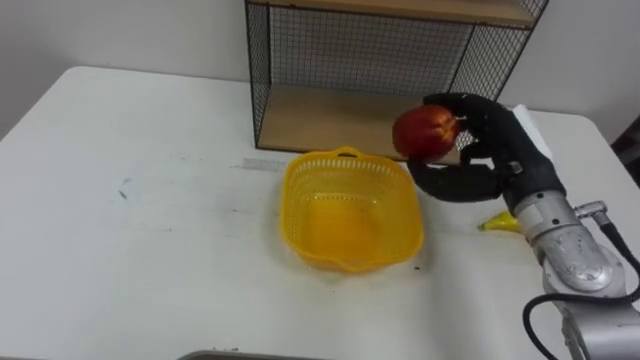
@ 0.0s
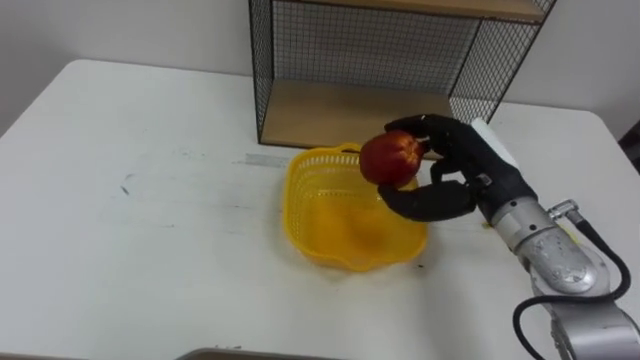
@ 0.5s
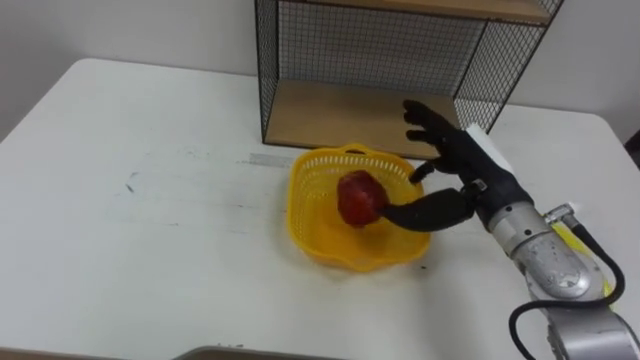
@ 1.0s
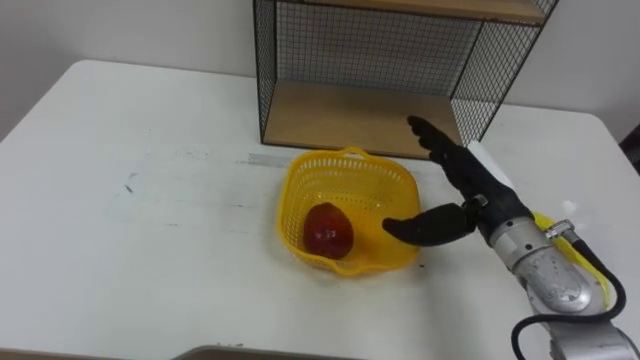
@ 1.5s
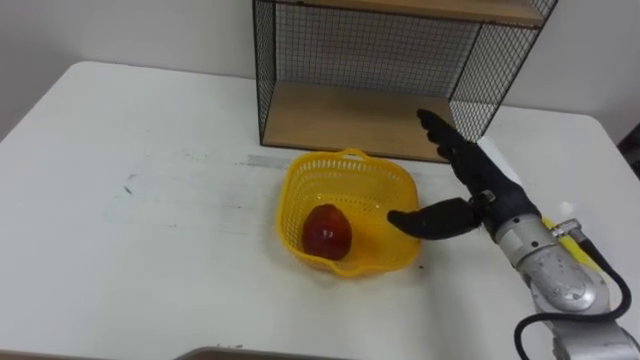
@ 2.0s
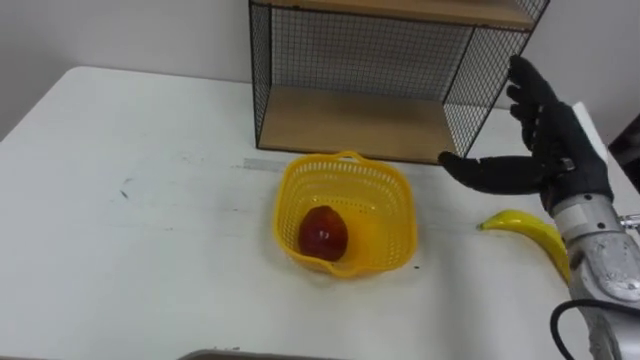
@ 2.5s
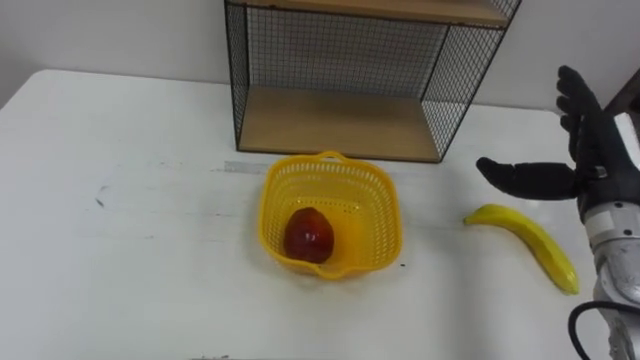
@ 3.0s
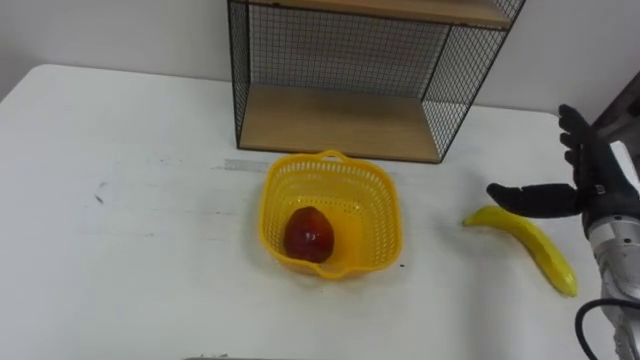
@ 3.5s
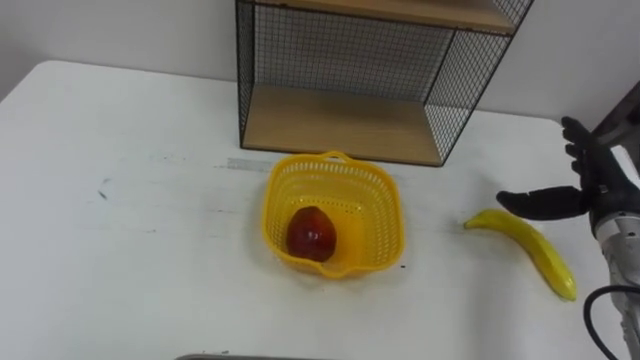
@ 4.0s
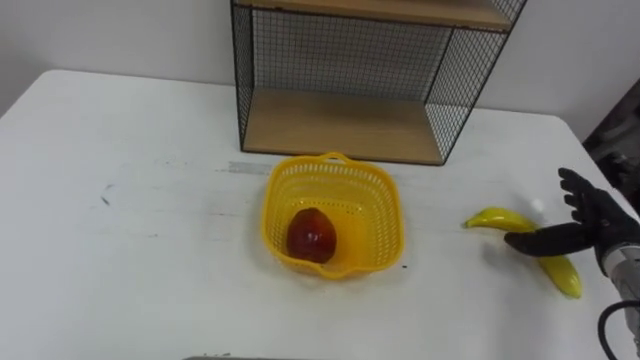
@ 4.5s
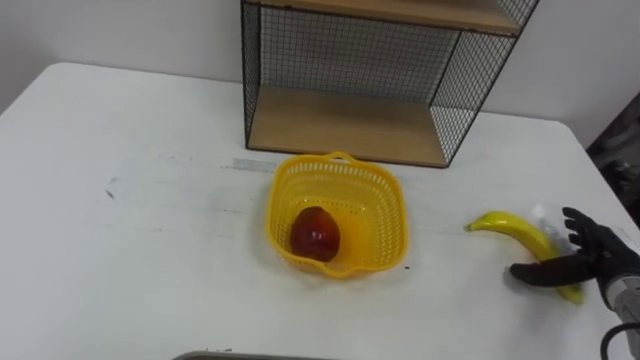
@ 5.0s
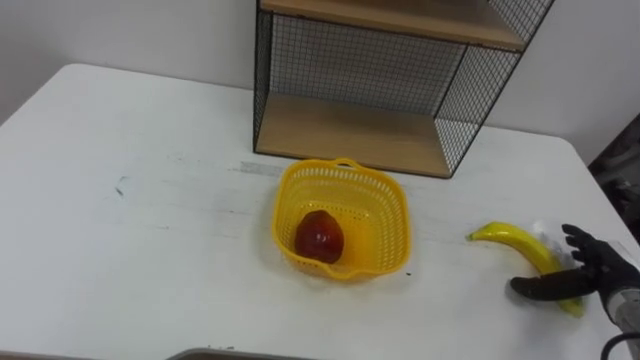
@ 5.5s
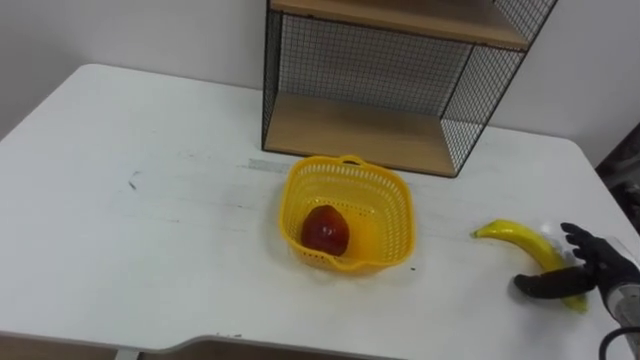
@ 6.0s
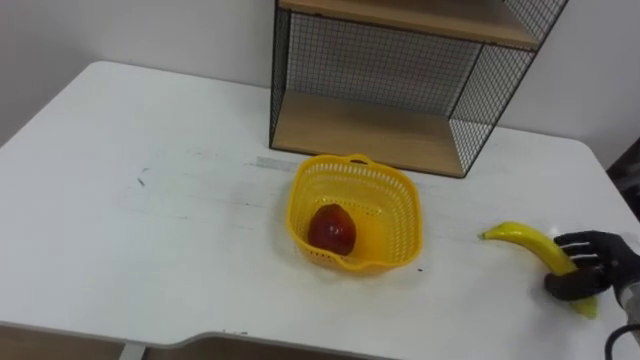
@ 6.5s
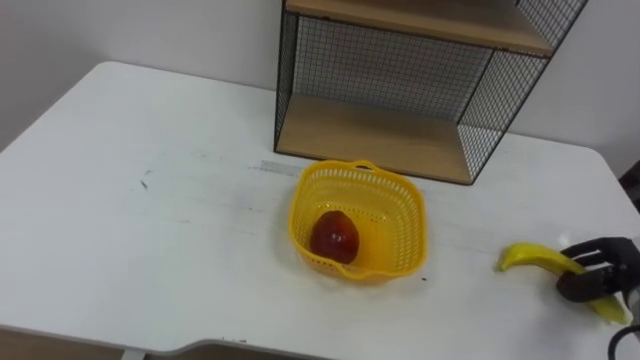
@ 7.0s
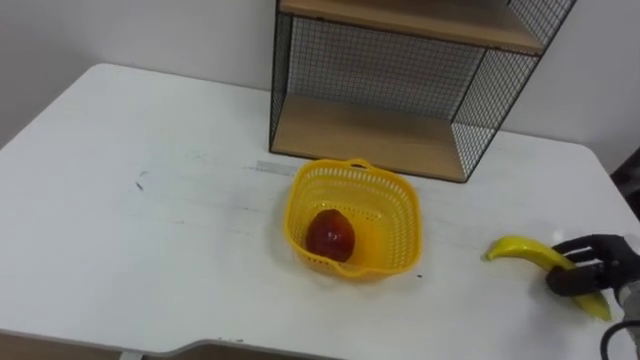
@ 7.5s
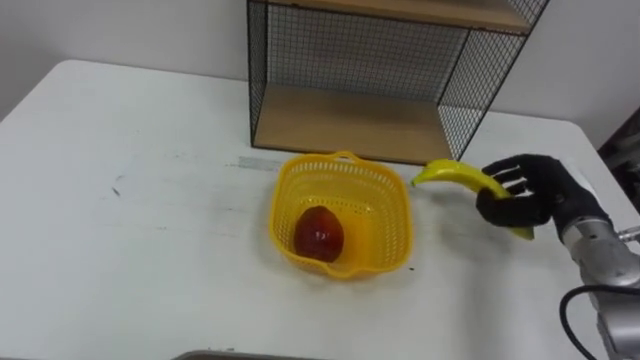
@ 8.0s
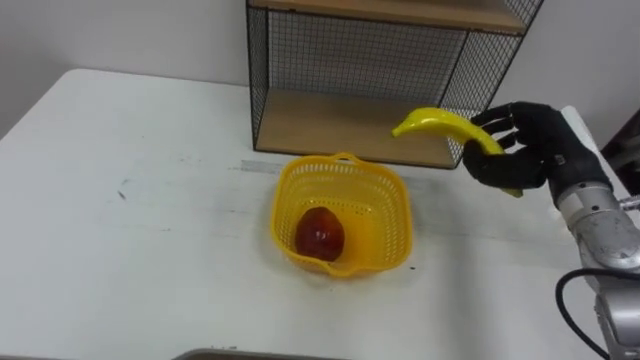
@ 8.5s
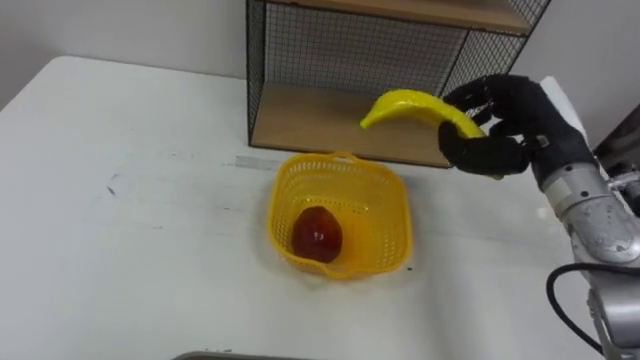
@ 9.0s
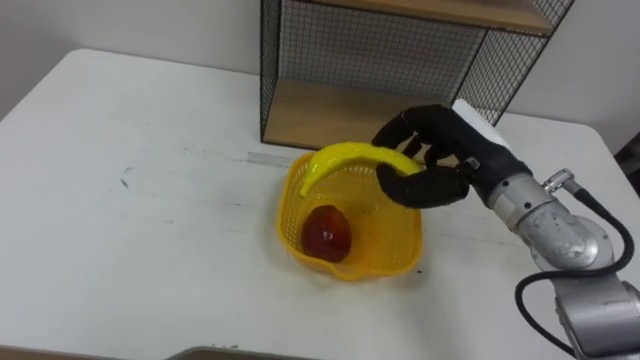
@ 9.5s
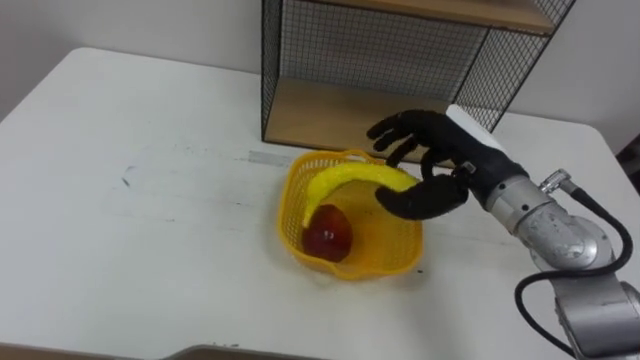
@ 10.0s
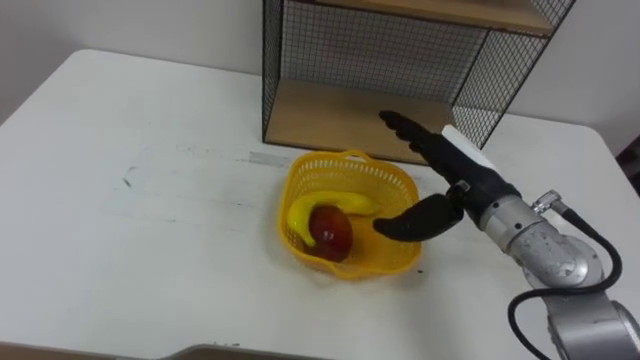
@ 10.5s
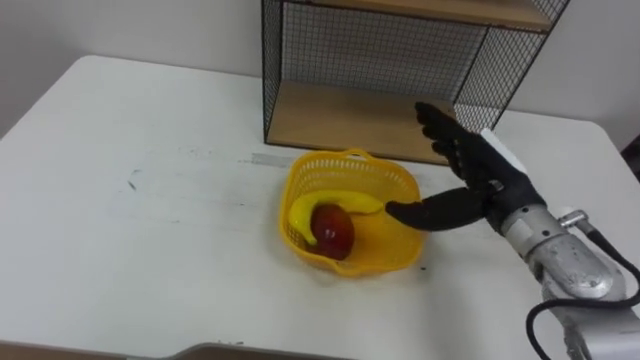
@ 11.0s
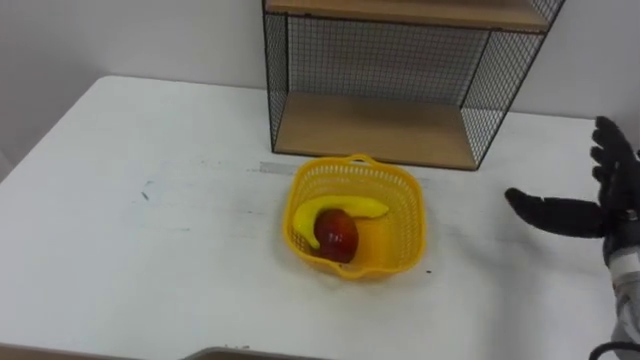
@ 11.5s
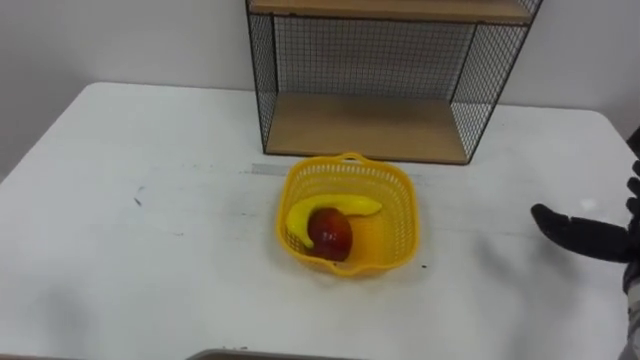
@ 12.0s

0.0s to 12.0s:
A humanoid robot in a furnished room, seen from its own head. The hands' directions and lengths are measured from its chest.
Task of the whole recording: Put the fruit on the table into the basket, then place the basket on the shelf.
0.0s to 2.0s: The right hand opens up.
2.0s to 4.0s: The right hand travels to the right by about 15 cm.
4.0s to 6.0s: The right hand moves downward and backward, roughly 15 cm.
6.0s to 8.0s: The right hand moves upward, to the left and forward, some 15 cm, and closes its fingers.
8.0s to 10.0s: The right hand goes approximately 15 cm to the left and upward.

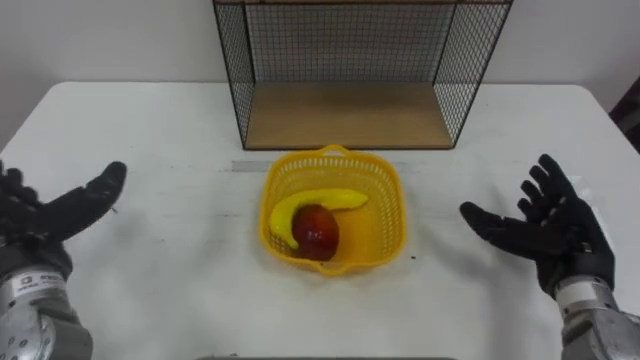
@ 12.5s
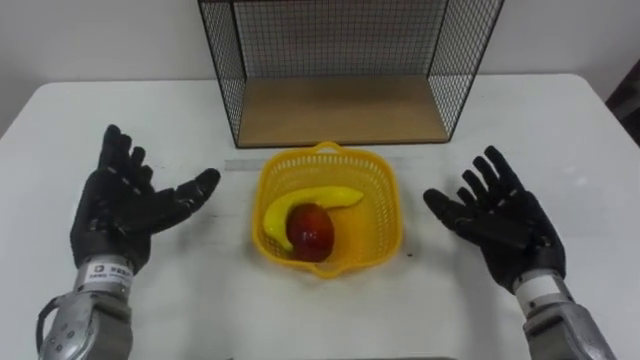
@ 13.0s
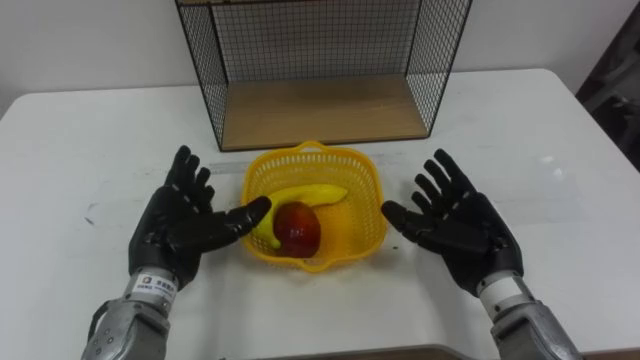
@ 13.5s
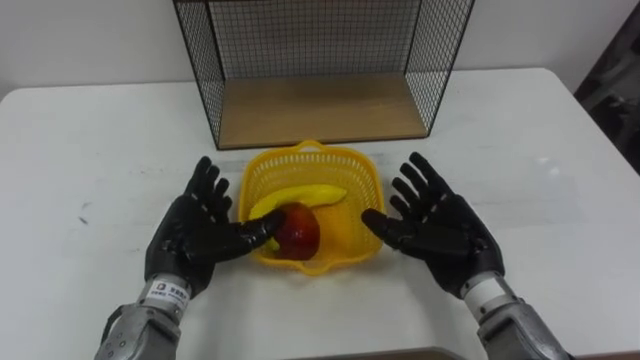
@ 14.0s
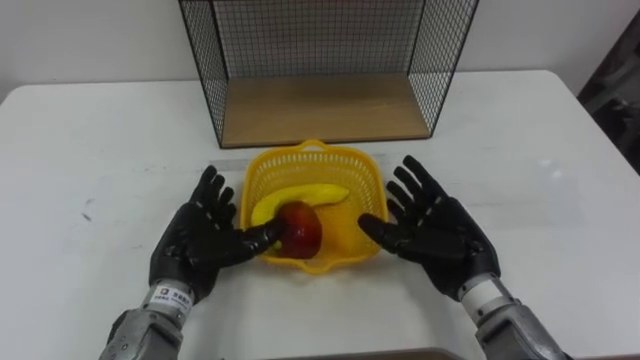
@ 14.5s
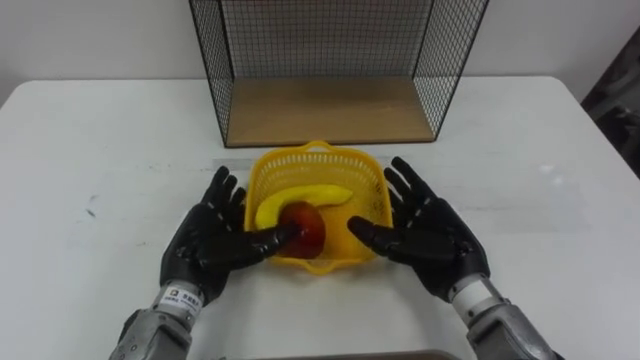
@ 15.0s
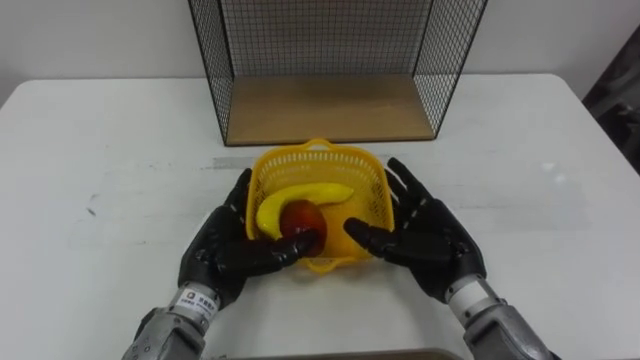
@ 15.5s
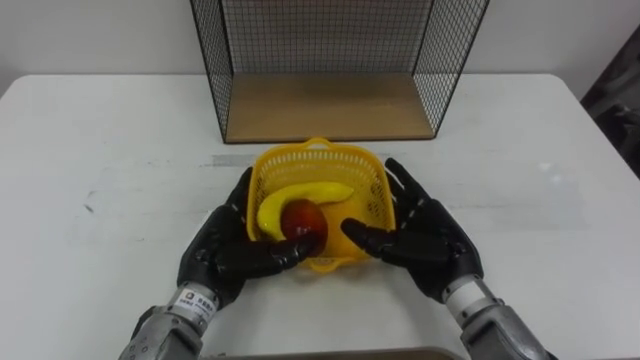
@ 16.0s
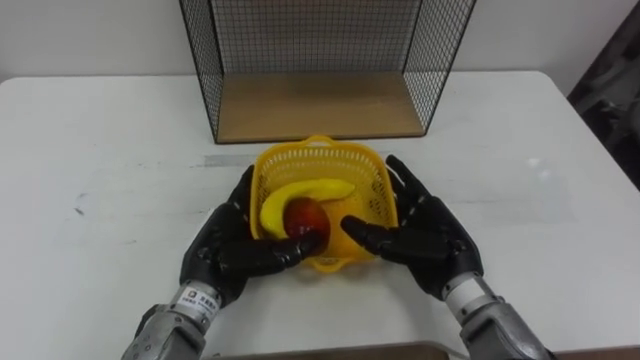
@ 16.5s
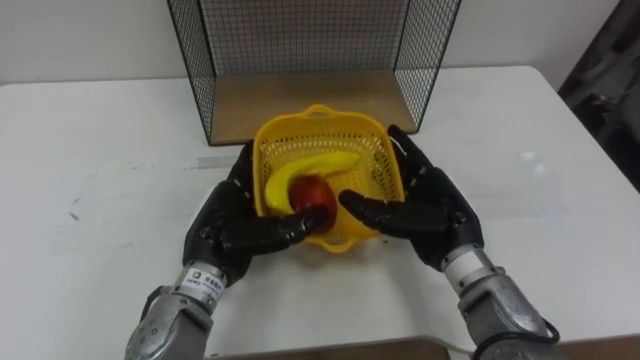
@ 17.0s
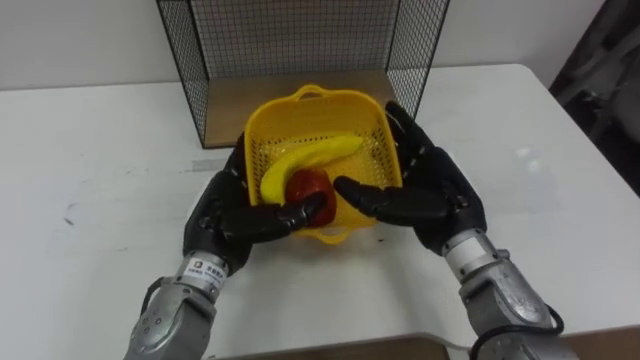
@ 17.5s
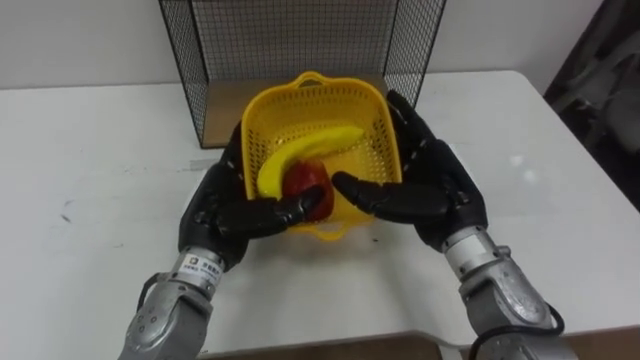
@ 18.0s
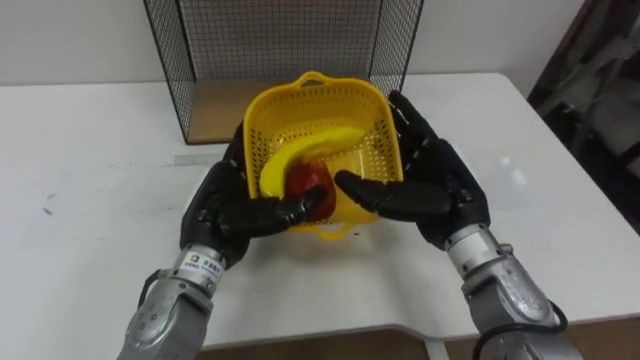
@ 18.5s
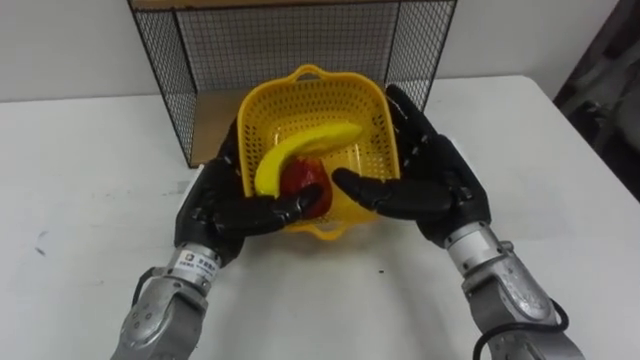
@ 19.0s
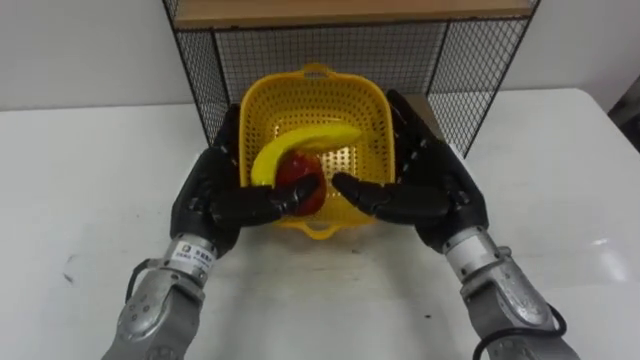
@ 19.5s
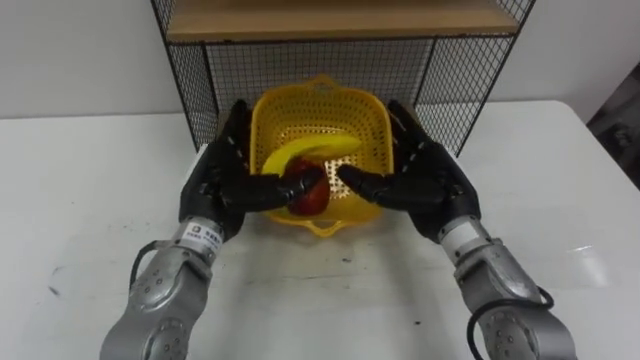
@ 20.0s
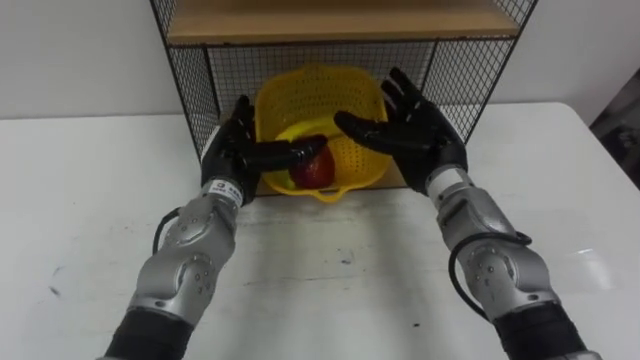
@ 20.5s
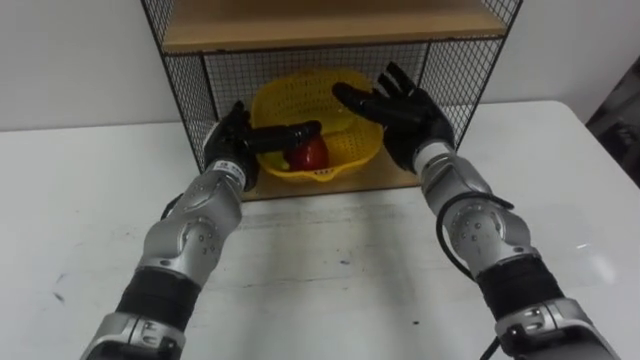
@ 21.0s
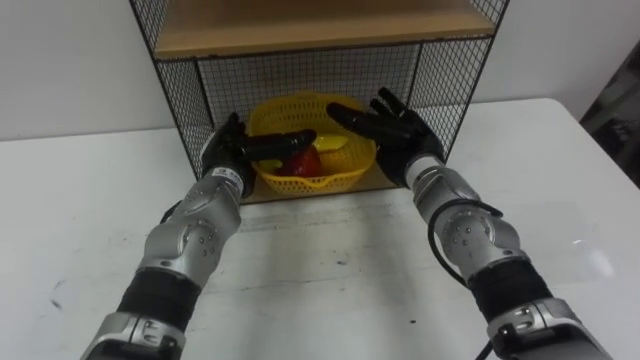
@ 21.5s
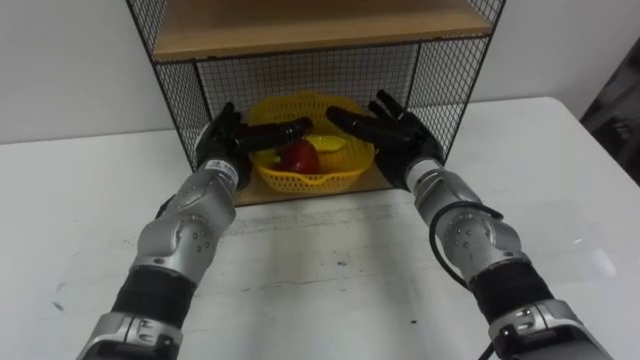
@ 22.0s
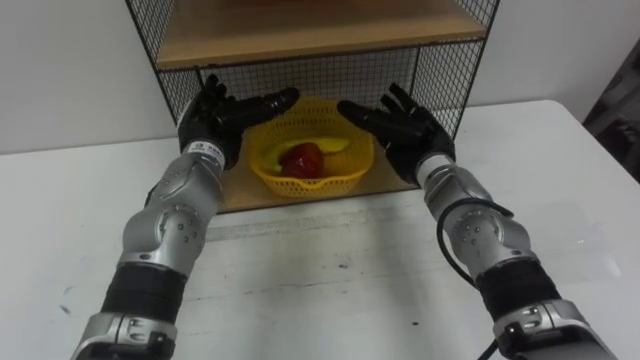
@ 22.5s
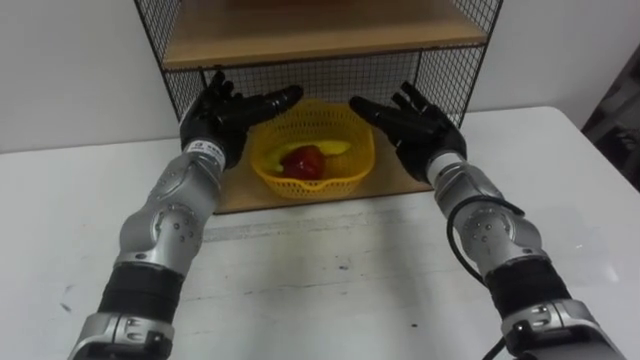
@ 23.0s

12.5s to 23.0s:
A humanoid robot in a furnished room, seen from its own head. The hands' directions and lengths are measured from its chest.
Task of the whole recording: Put the fruit on the table into the basket, then place the basket on the shelf.
12.5s to 14.5s: The right hand goes some 15 cm to the left. Meanwhile the left hand moves to the right and downward, approximately 15 cm.
14.5s to 16.5s: The hands stay close to where they were, moving slightly.
16.5s to 19.0s: The hands both shift upward by approximately 5 cm.
19.0s to 21.0s: The hands both shift forward by roughly 10 cm.
